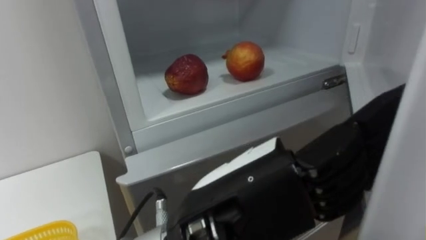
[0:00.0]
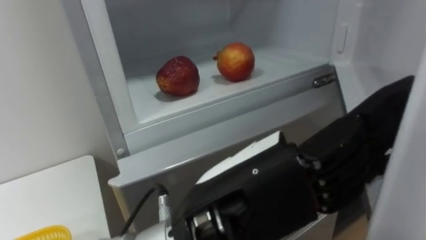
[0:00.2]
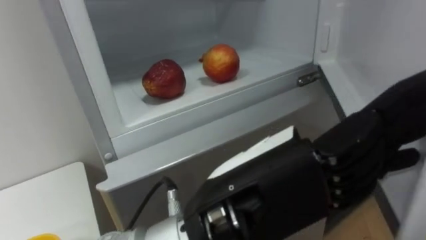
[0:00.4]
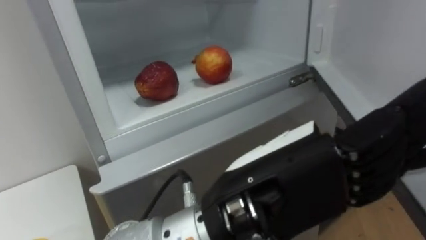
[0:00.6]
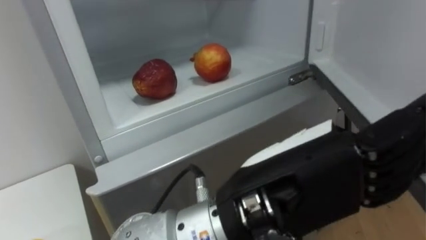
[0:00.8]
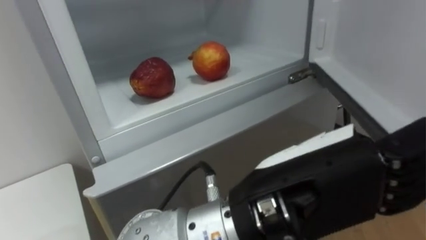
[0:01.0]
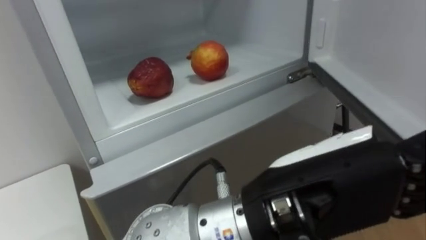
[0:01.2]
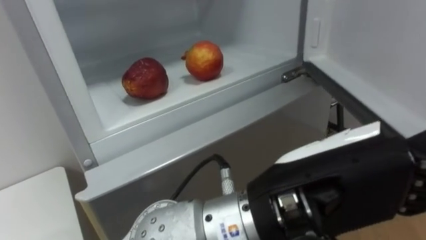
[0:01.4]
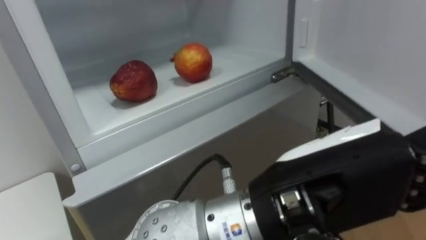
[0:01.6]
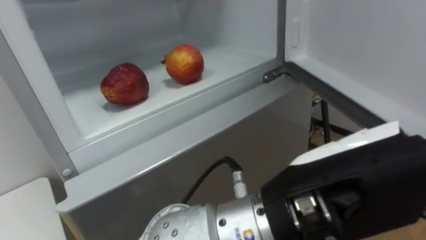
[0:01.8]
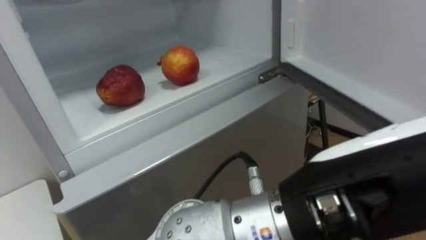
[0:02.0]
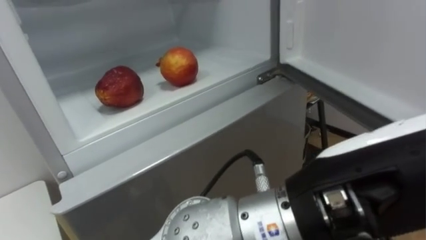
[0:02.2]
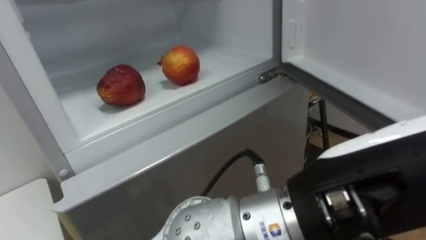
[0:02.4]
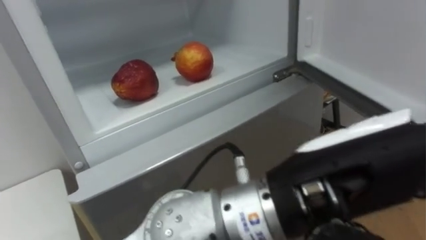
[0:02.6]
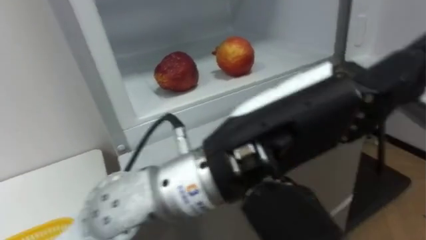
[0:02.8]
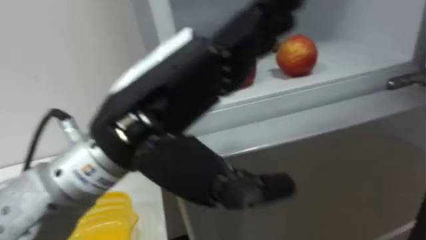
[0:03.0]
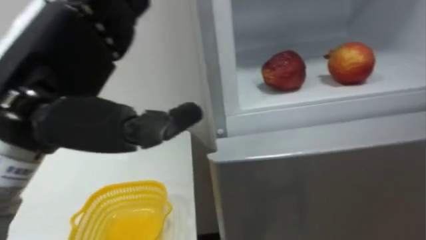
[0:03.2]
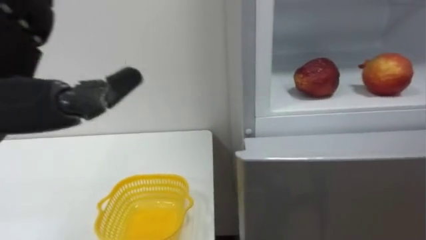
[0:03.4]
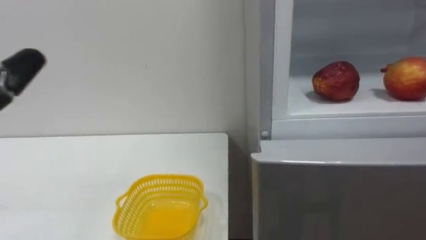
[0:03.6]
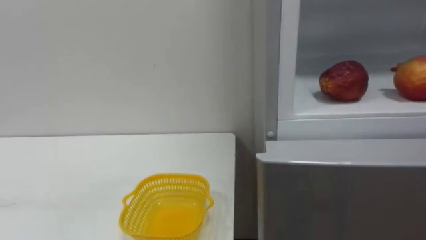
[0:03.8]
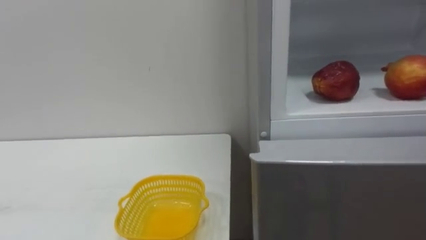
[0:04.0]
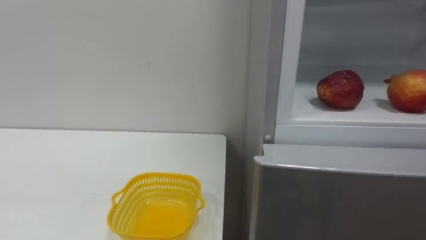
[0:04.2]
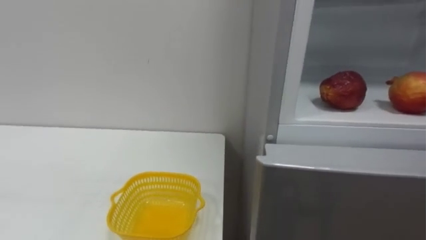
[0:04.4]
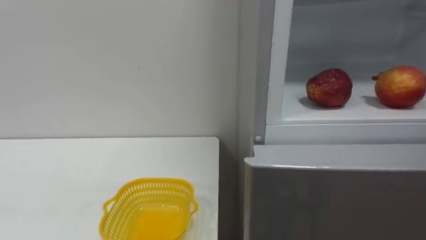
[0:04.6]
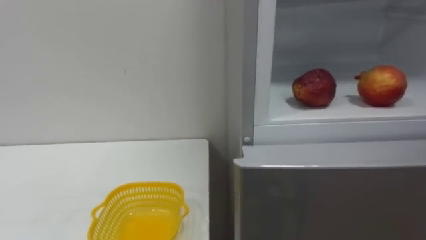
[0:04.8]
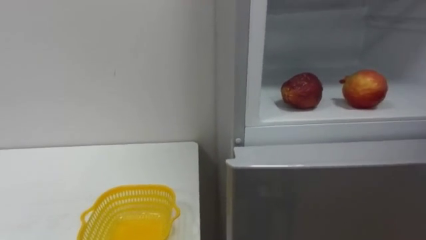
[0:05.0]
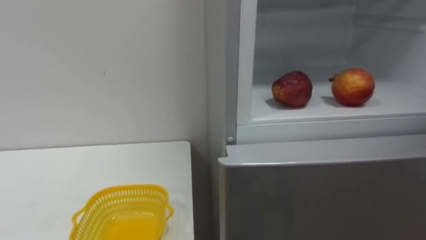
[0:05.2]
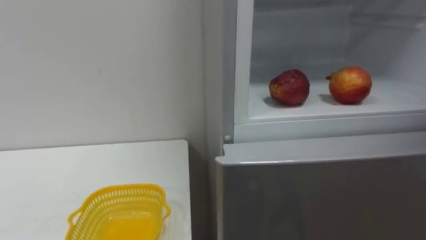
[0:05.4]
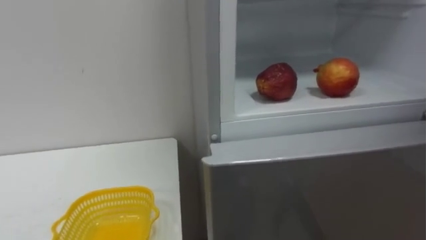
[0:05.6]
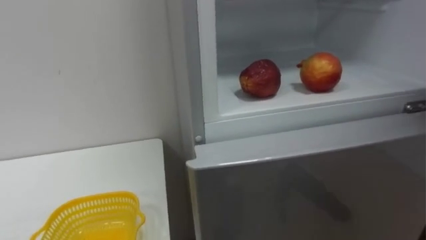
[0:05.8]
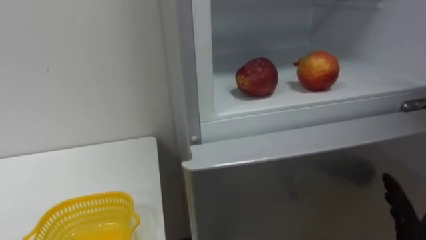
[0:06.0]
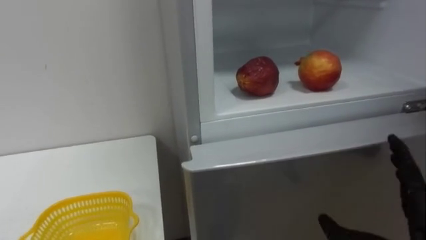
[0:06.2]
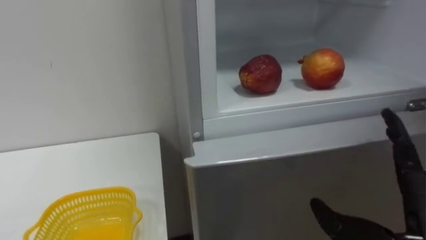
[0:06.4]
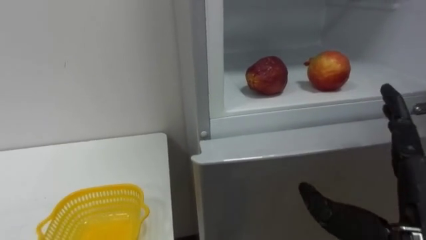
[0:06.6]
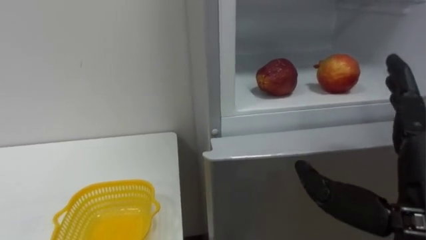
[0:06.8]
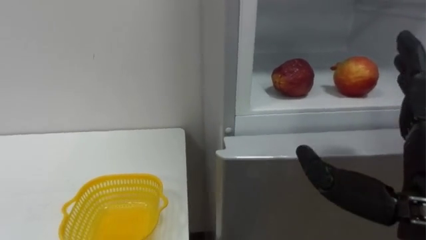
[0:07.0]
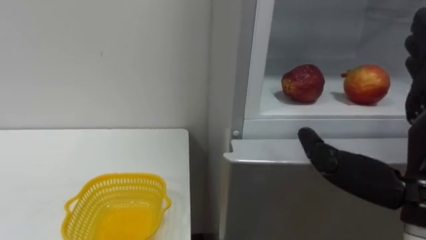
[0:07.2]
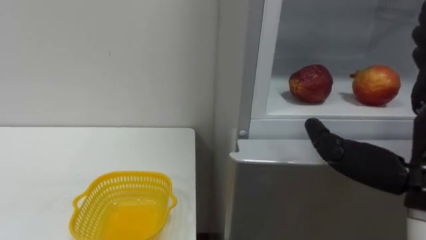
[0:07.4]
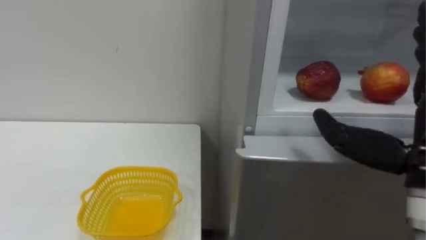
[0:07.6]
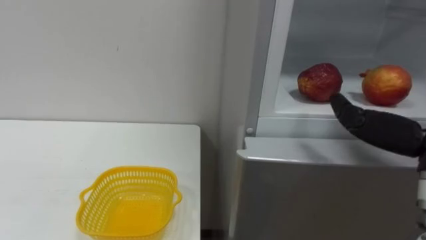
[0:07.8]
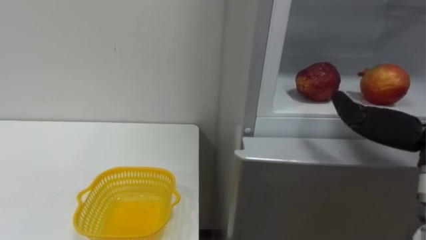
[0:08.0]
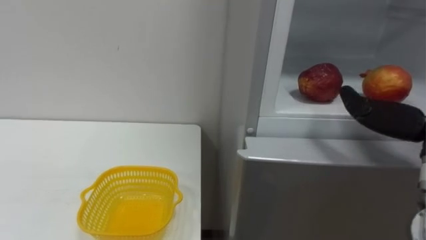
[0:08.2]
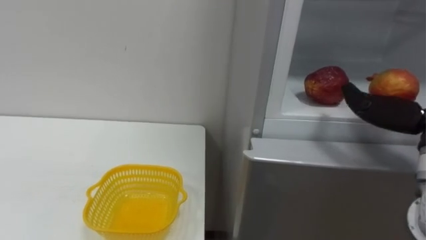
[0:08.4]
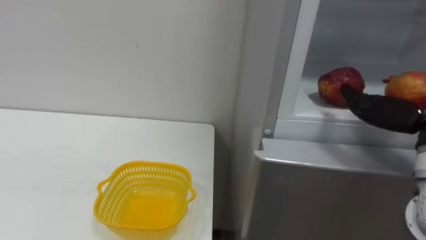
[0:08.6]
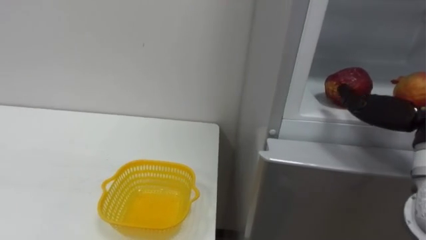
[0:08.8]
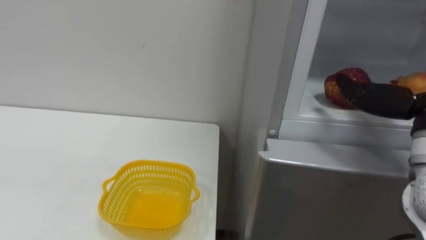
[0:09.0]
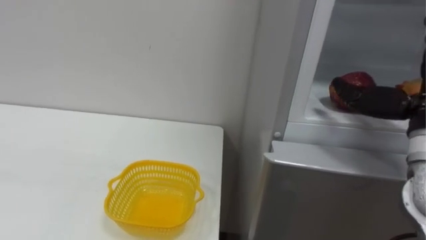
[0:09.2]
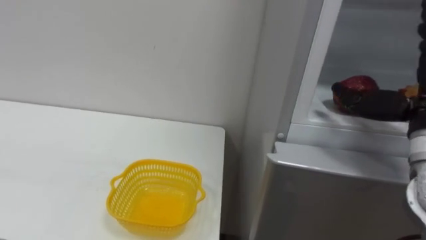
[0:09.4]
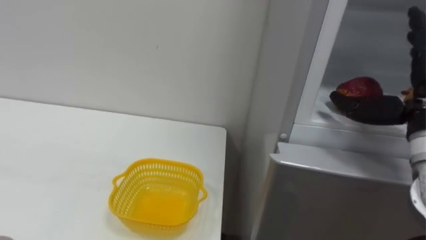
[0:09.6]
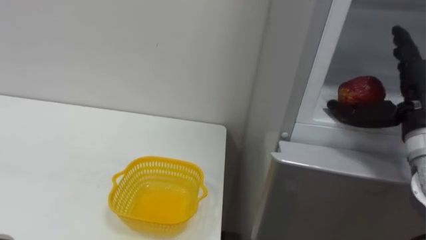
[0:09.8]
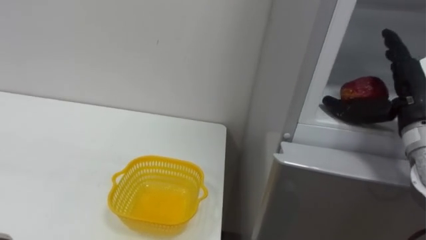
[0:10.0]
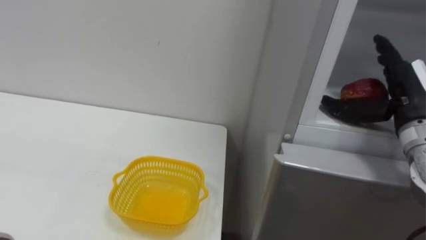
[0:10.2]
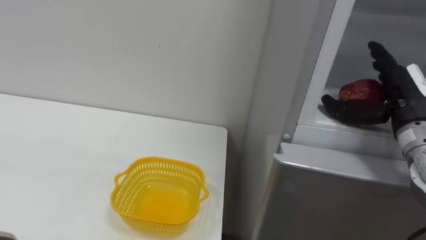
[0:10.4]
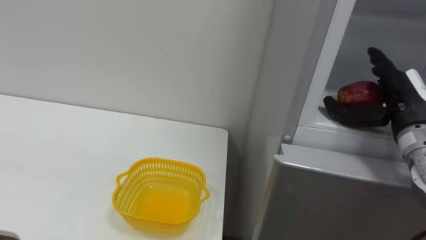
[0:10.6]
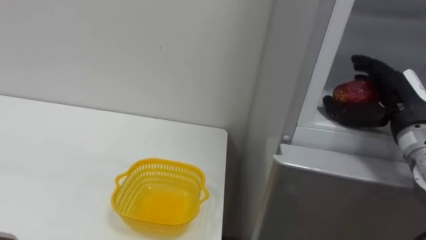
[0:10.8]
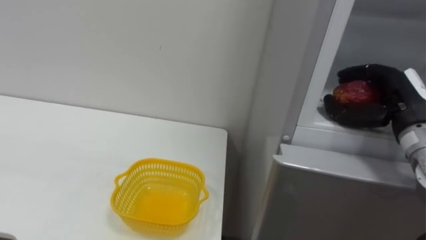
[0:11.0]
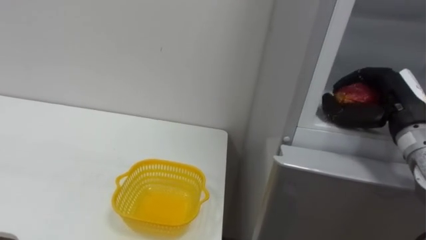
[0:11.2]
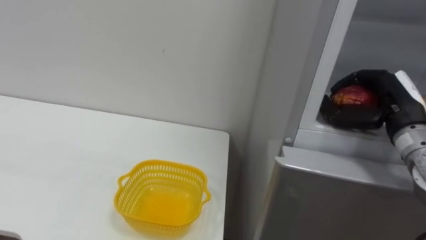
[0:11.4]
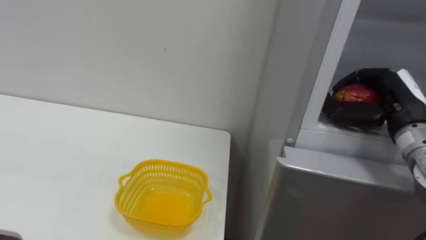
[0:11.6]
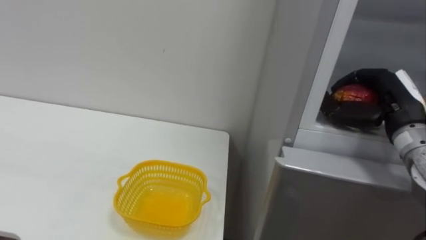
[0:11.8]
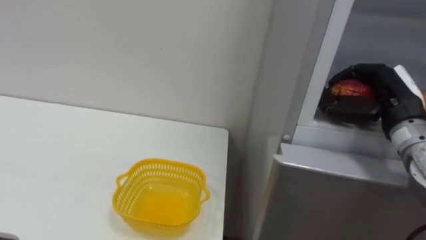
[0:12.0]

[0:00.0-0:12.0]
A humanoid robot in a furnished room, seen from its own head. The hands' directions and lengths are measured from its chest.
Task of the whole recording: Open the refrigerator door, take out the apple and the pomegranate, place them in the fruit basket on the left, and close the refrigerator door.
0:00.0 to 0:01.6: The left hand goes some 5 cm to the right.
0:01.6 to 0:03.0: The left hand moves to the left and forward, roughly 15 cm.
0:10.4 to 0:12.0: The right hand closes.

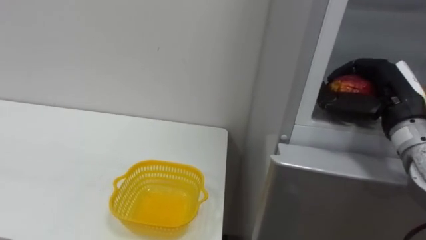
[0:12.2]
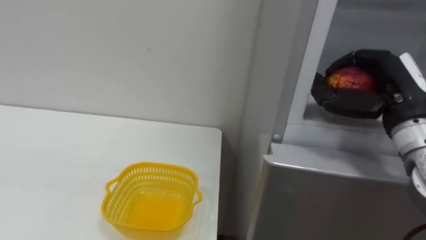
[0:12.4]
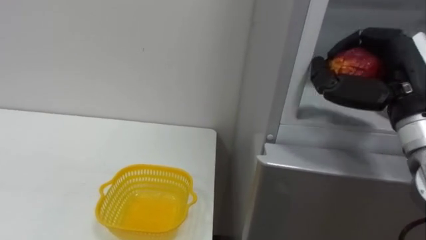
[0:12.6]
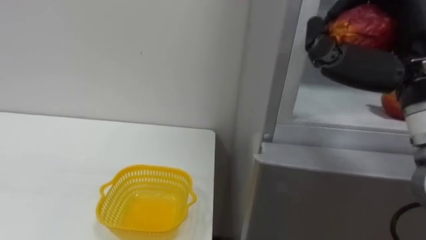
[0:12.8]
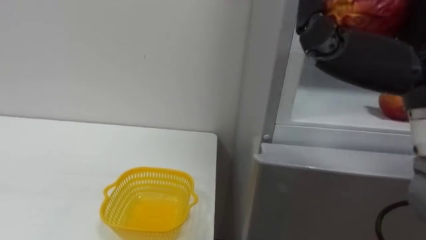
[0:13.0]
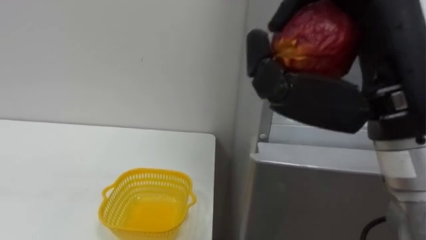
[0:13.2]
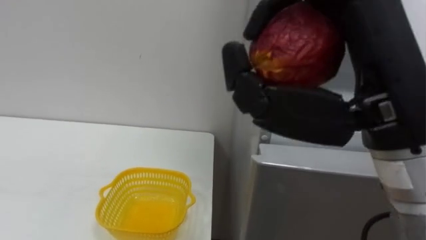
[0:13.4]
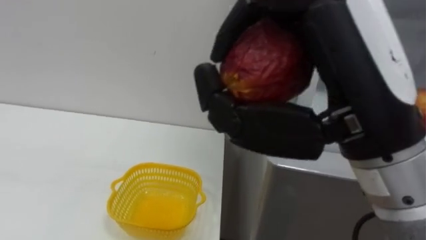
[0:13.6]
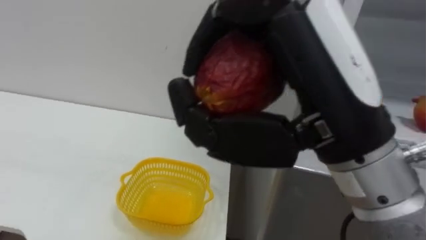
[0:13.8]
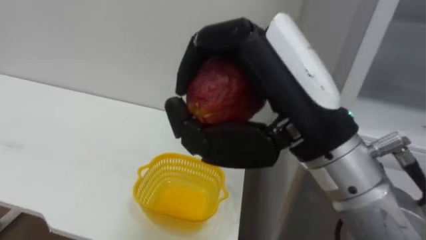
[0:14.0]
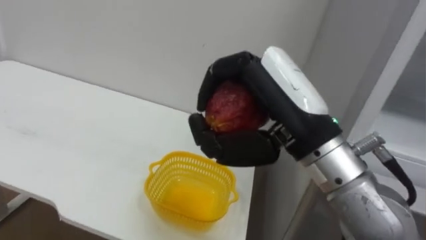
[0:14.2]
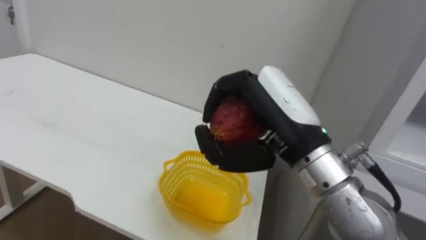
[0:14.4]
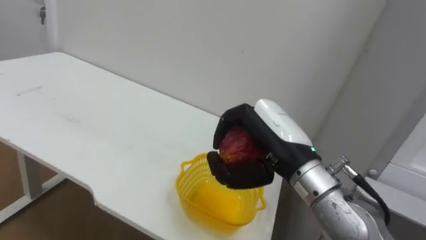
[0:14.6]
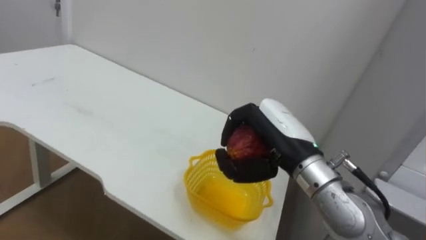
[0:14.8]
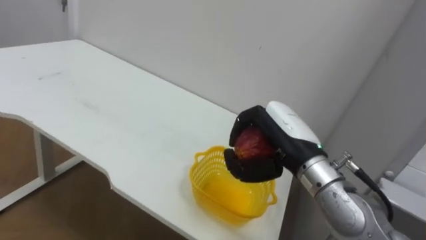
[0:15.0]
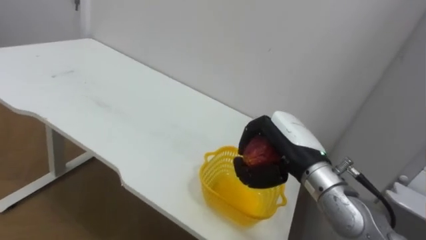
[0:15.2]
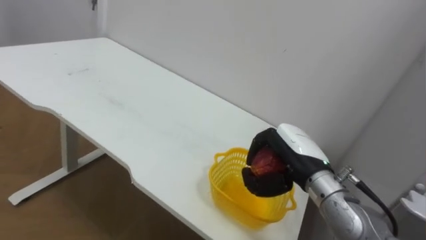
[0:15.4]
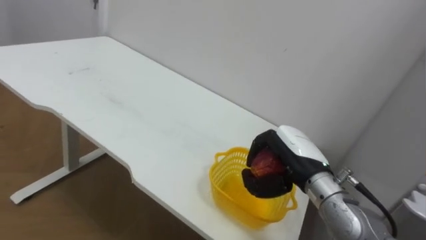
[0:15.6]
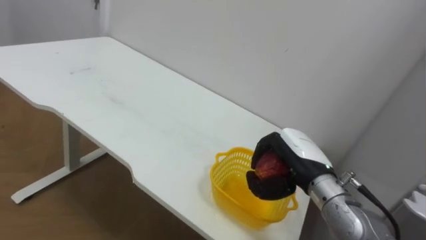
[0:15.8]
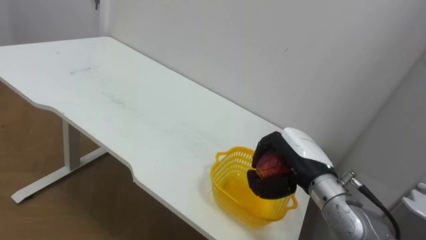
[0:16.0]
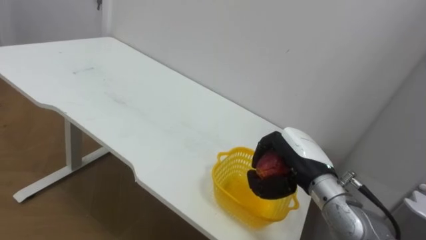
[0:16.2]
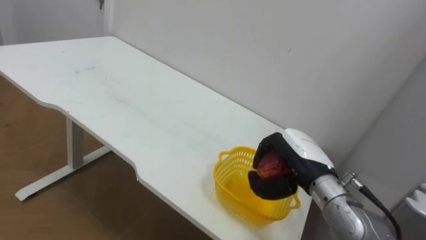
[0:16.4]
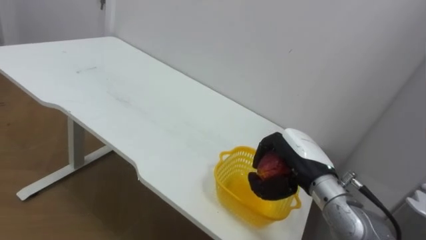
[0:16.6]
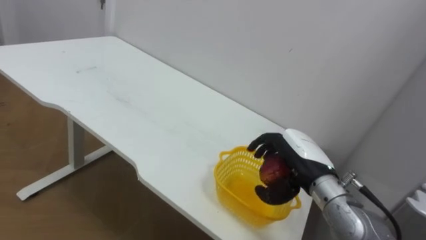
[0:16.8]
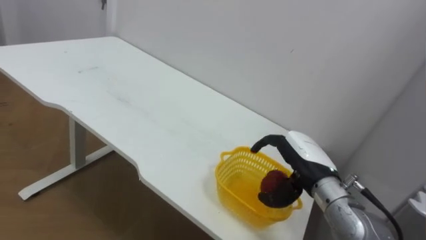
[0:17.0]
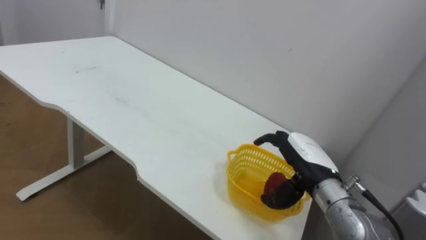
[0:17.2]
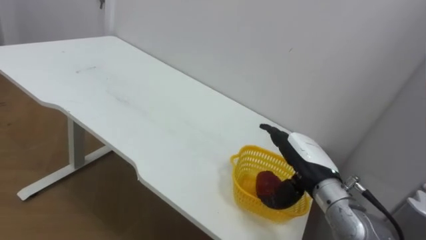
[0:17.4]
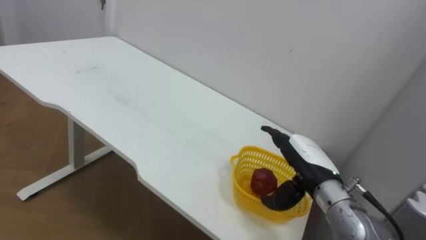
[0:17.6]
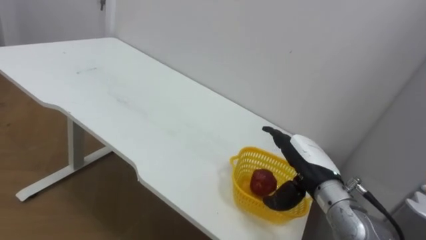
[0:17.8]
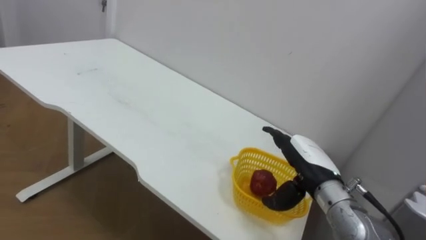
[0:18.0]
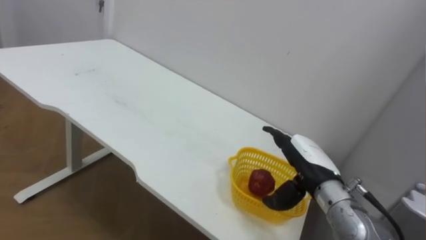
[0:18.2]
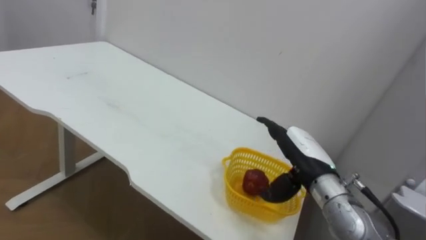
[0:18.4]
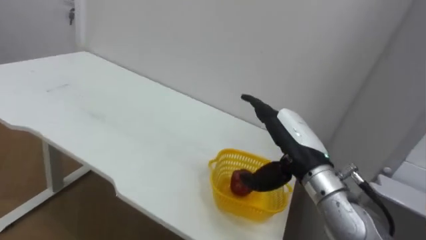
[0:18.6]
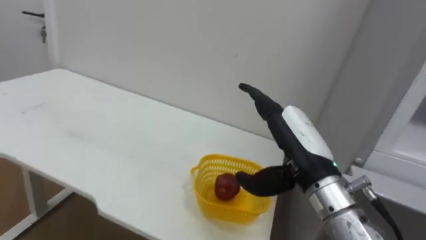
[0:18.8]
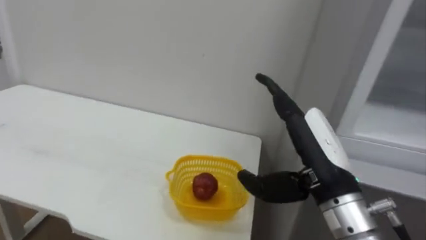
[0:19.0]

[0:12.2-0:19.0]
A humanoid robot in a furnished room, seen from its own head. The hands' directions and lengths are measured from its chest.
Task of the whole recording: Open the refrigerator door, take out the apple and the pomegranate, place them in the fruit basket on the left, and close the refrigerator door.
0:12.2 to 0:13.6: The right hand is displaced backward, to the left and upward by about 25 cm.
0:13.6 to 0:15.0: The right hand goes about 20 cm downward and forward.
0:15.0 to 0:16.2: The right hand travels downward by approximately 5 cm.
0:16.2 to 0:17.6: The right hand opens up.
0:17.6 to 0:19.0: The right hand is displaced upward and backward by about 15 cm.
